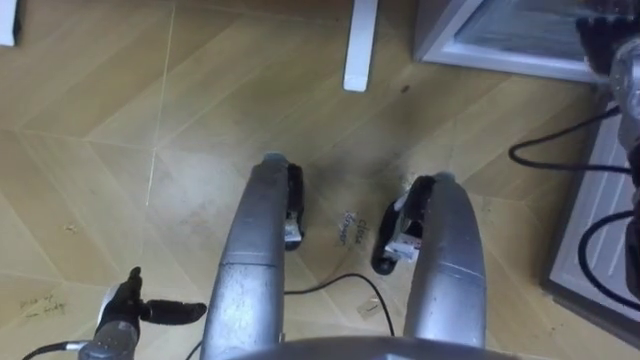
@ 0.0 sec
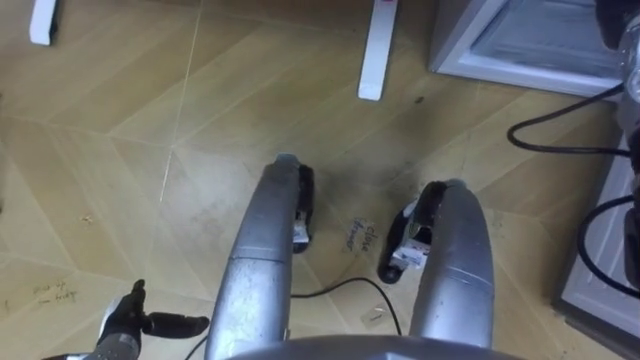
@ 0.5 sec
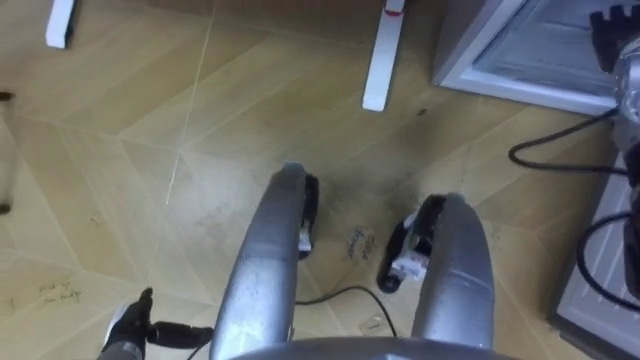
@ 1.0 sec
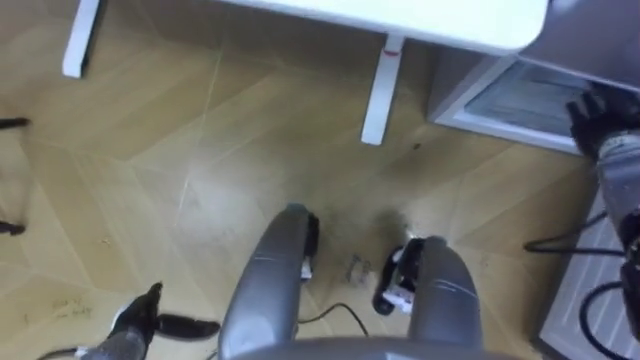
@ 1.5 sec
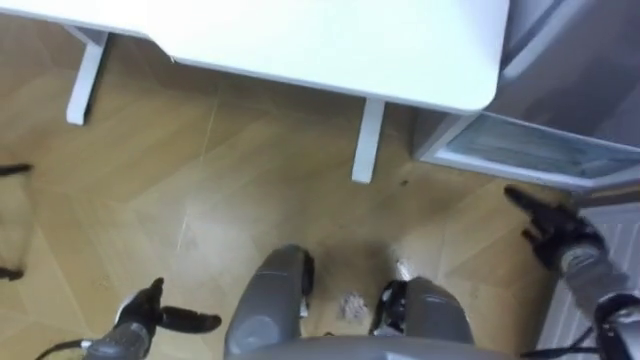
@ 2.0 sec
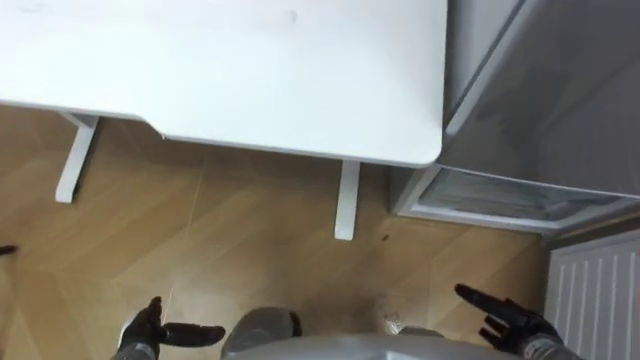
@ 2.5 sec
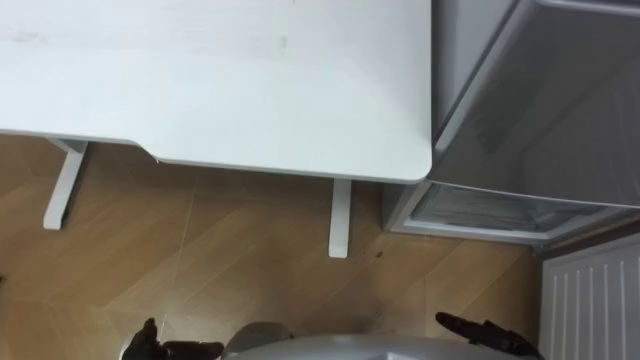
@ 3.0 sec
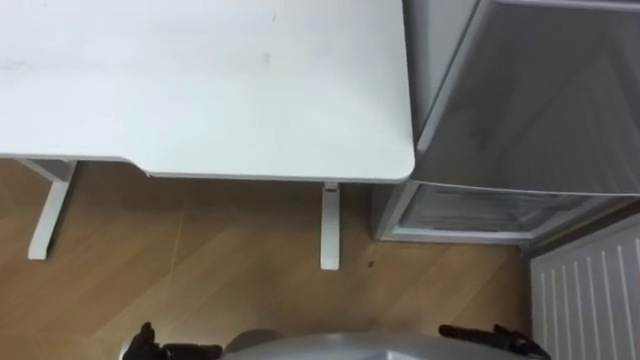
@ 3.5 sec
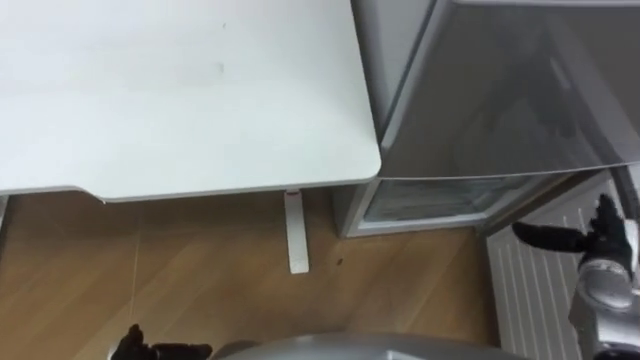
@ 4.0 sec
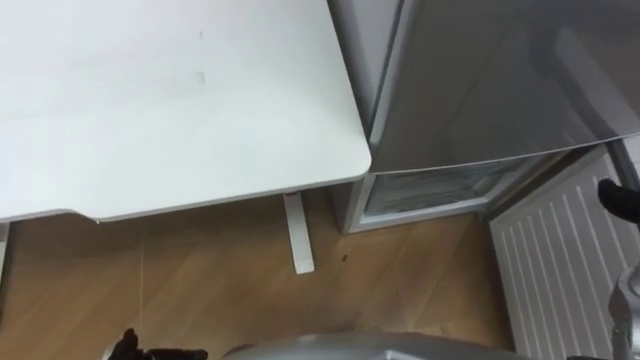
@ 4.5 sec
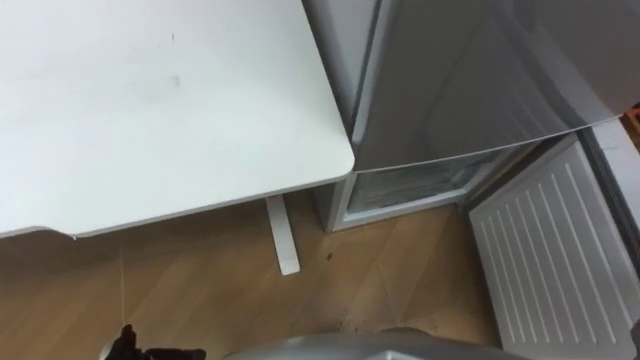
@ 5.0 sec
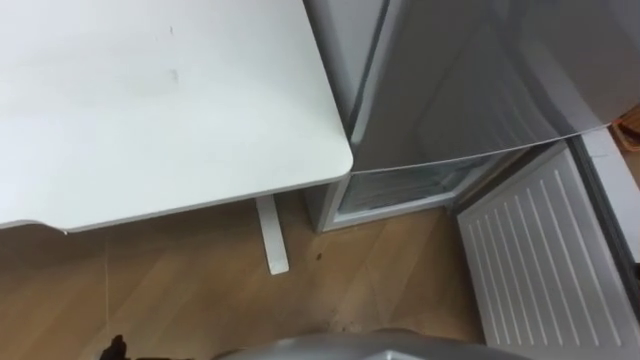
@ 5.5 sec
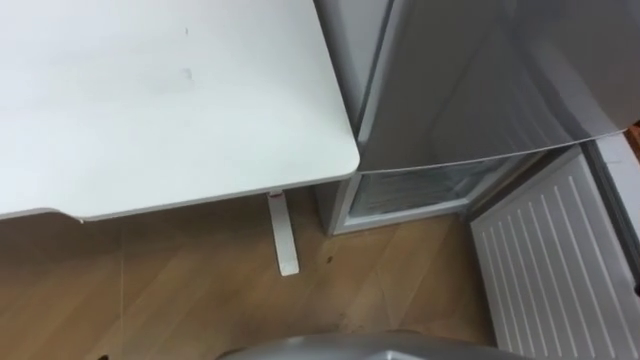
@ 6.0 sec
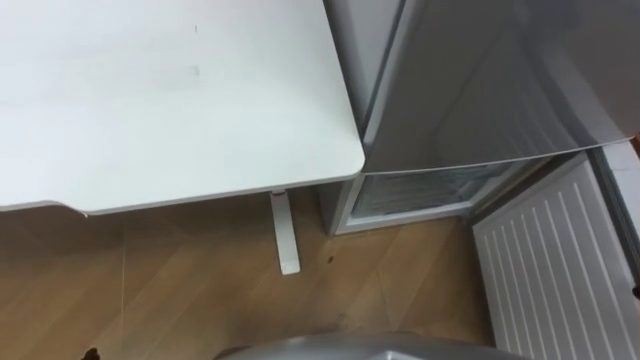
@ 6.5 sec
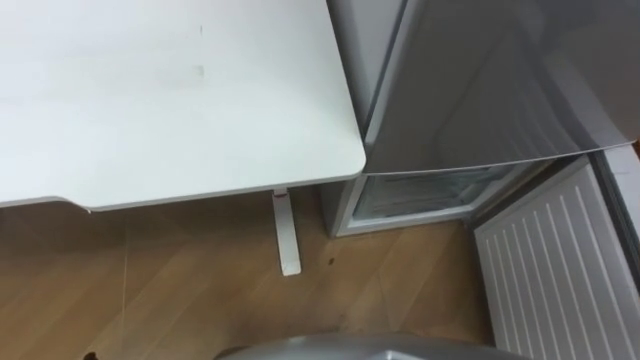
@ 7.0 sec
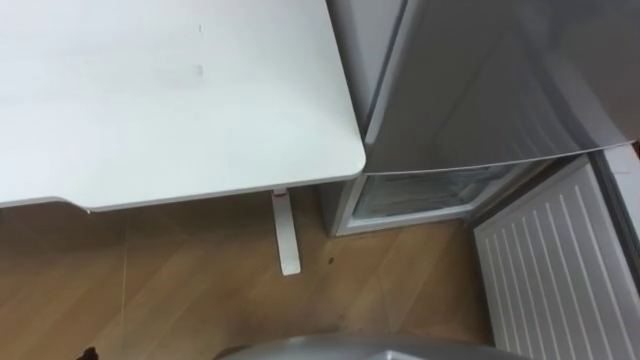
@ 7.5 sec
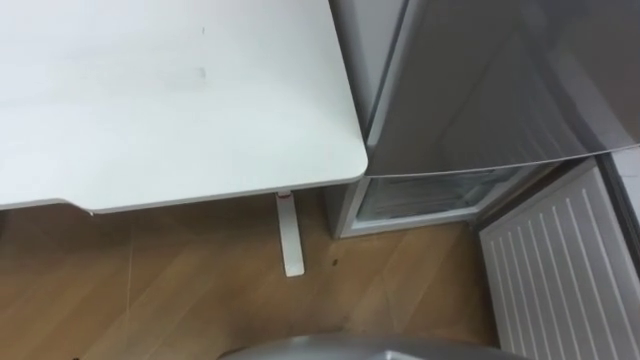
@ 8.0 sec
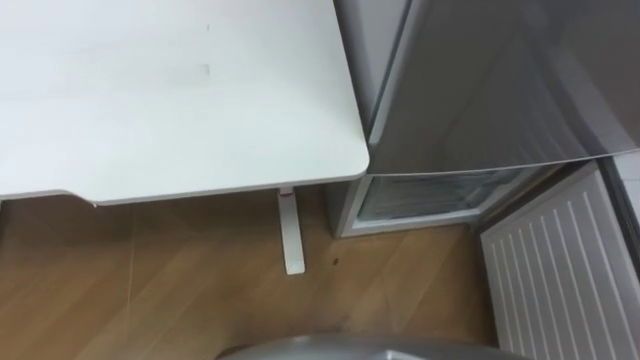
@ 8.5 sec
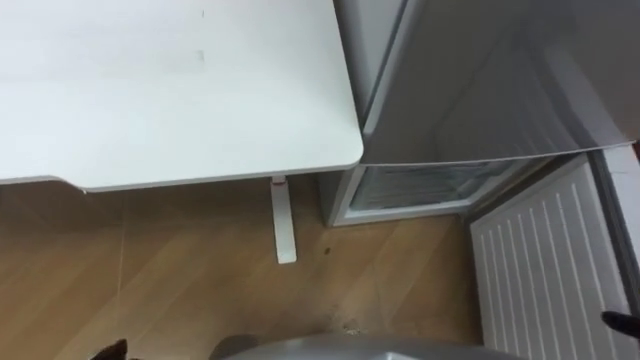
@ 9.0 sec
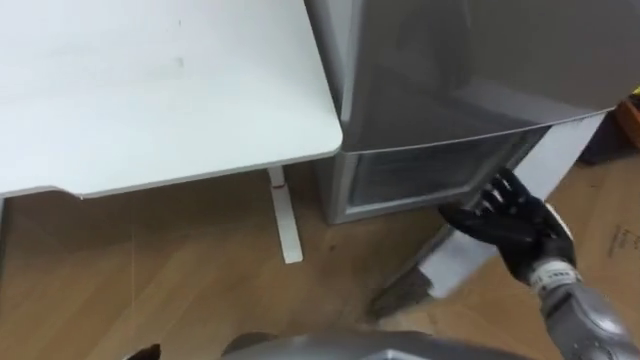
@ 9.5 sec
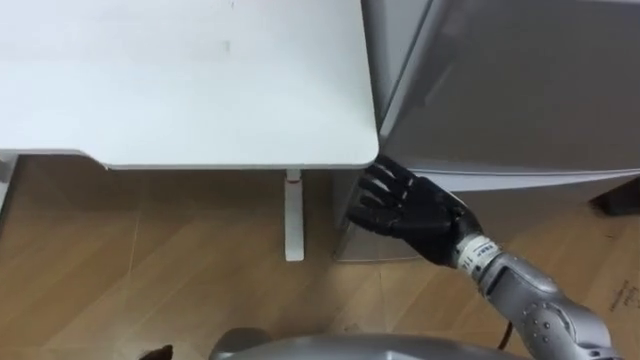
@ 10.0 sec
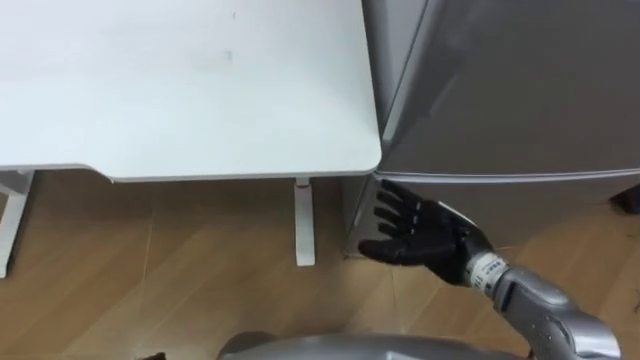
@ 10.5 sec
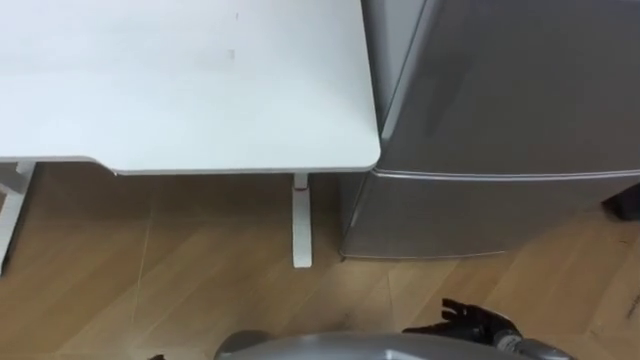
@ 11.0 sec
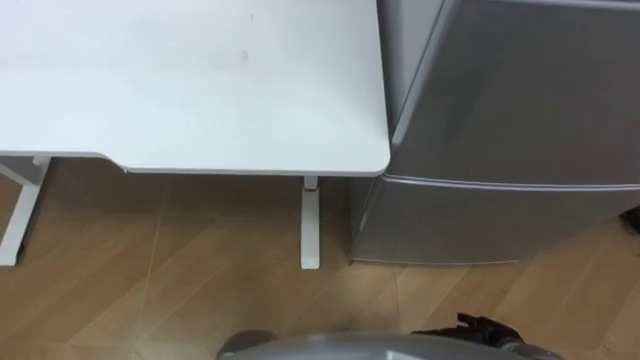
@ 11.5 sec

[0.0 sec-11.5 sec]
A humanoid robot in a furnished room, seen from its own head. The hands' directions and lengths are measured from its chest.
Task of the whole recording: Place the drink on the table on the bottom shelf of the refrigerator, then close the drawer and the refrigerator door.
0.0 sec to 2.0 sec: The right hand moves downward and backward, some 30 cm.
9.5 sec to 11.5 sec: The right hand goes approximately 20 cm downward and backward.

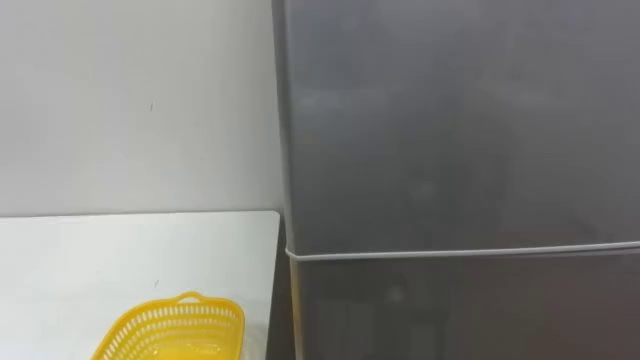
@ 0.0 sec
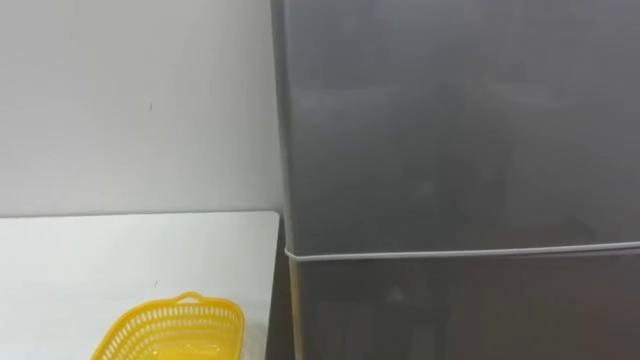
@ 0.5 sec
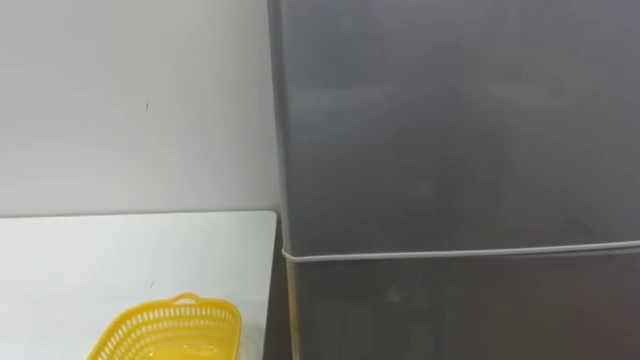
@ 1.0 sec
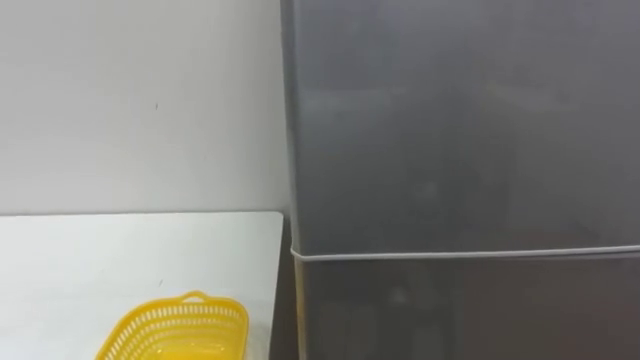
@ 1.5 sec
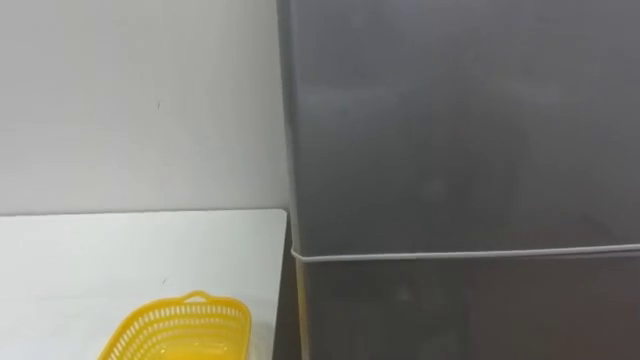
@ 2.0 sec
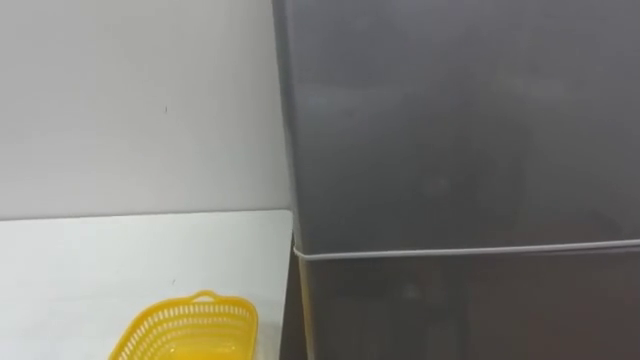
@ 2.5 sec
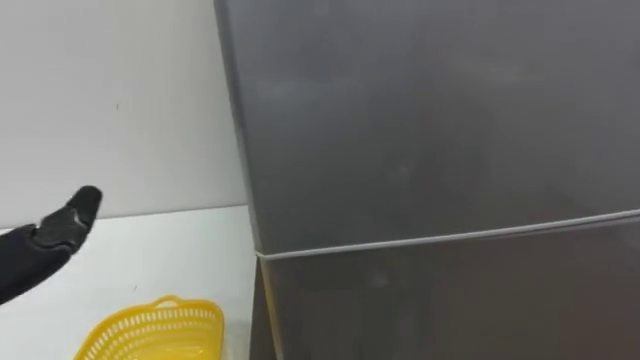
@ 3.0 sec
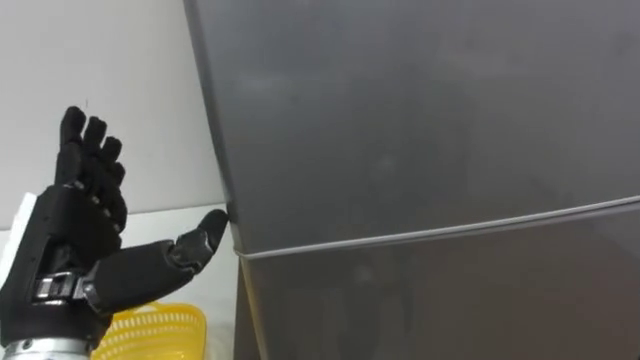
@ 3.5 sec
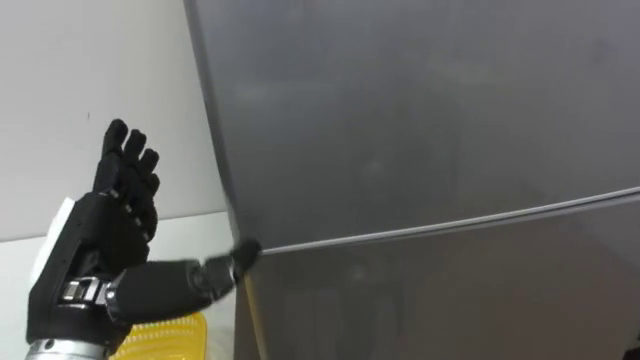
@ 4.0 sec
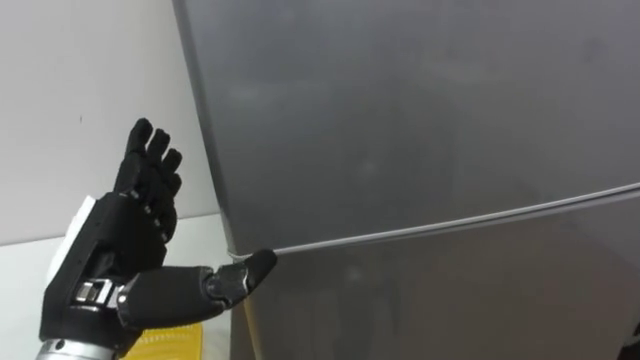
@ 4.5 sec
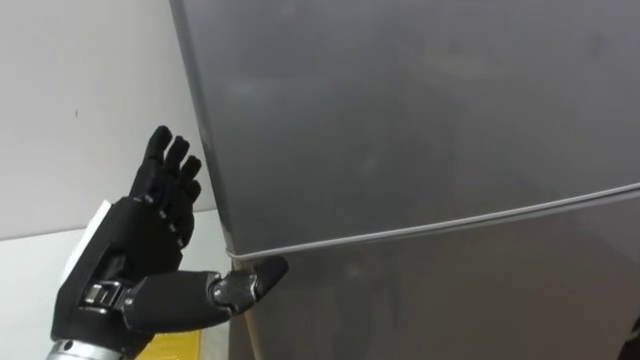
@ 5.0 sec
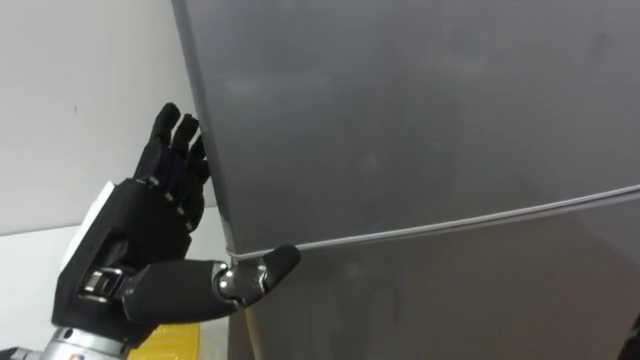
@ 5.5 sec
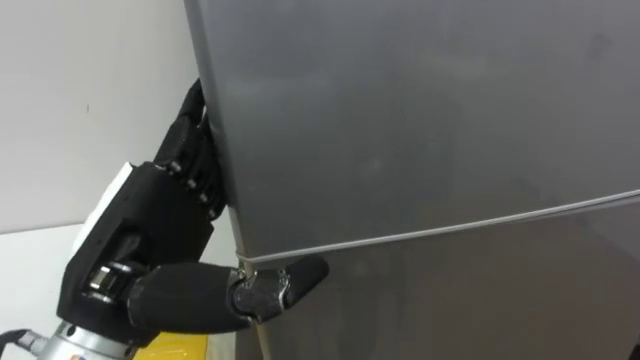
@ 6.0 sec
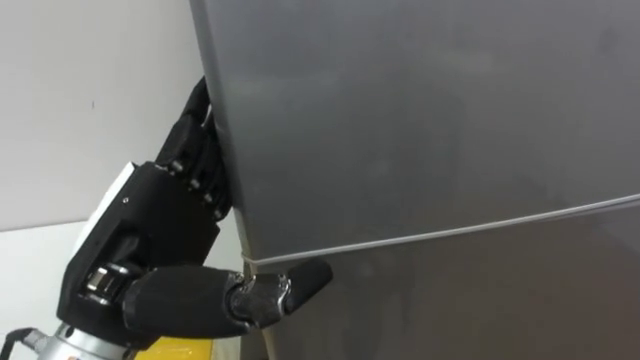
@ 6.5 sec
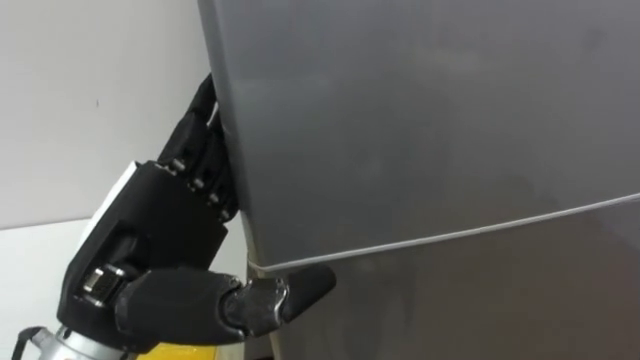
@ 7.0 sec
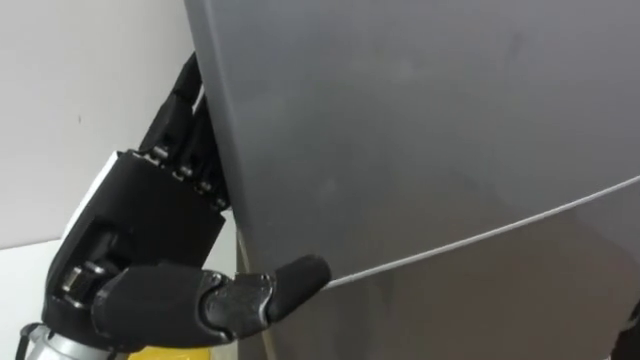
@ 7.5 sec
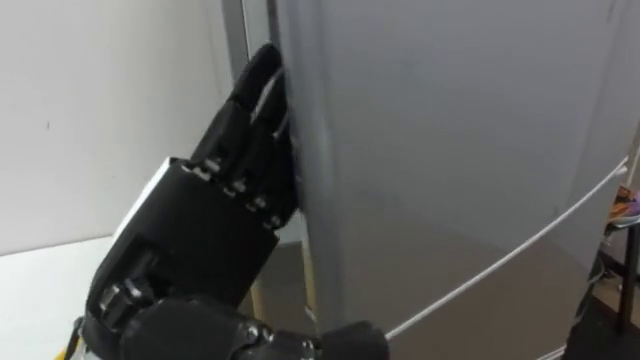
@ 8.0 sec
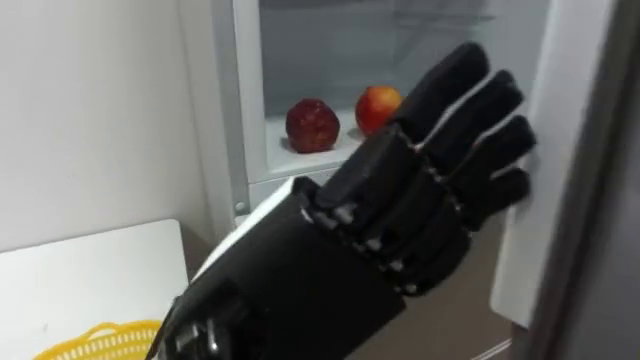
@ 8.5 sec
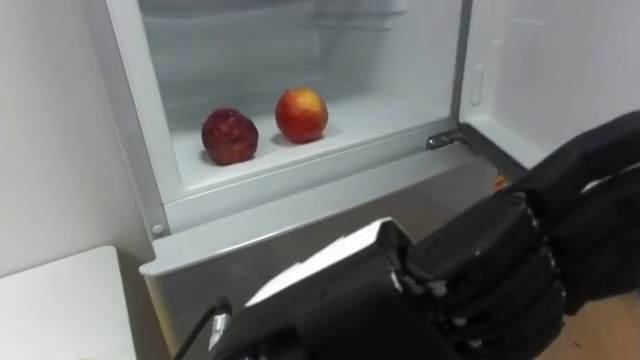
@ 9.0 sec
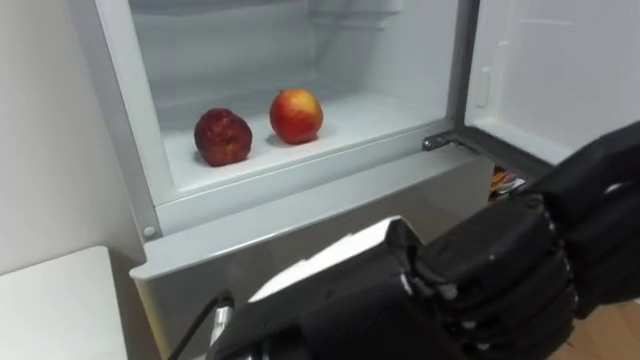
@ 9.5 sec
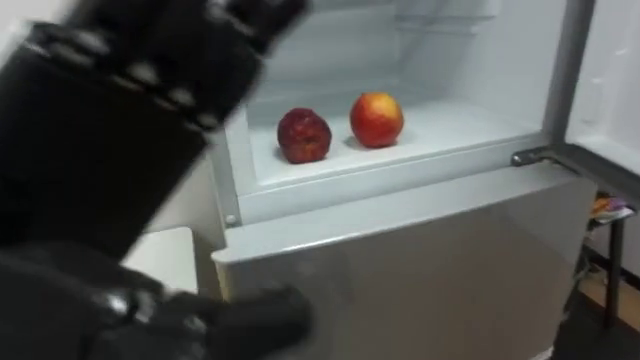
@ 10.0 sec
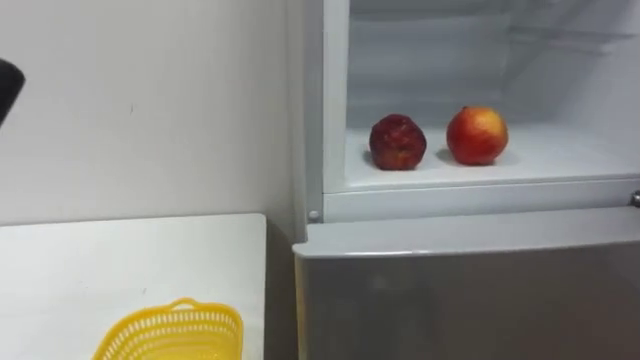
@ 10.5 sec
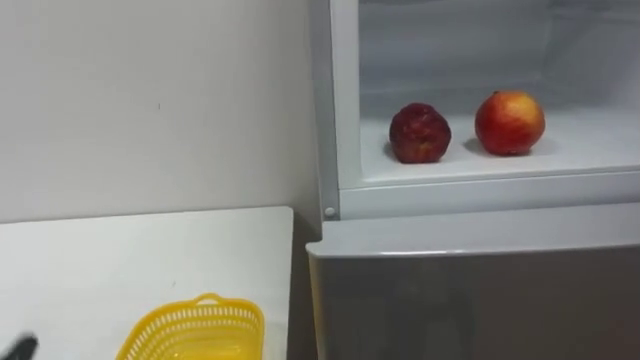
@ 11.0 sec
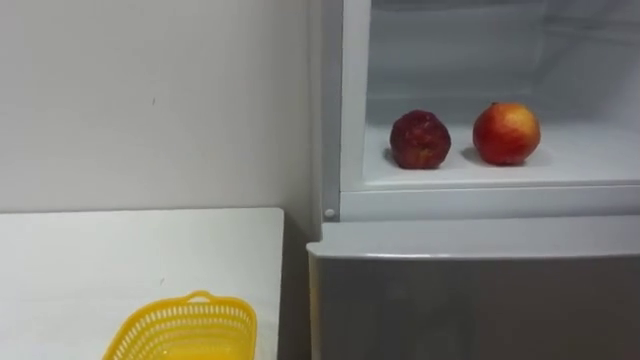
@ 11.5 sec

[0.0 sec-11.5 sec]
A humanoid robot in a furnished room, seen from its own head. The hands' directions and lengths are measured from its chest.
Task of the whole recording: Open the refrigerator door, take out the apple and the pomegranate, place them in the fruit basket on the left, and close the refrigerator door.
4.0 sec to 6.0 sec: The left hand shifts about 5 cm to the right.
7.5 sec to 9.5 sec: The left hand shifts approximately 15 cm to the right and backward.
